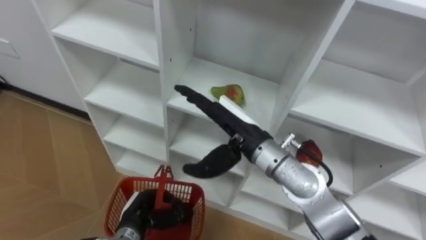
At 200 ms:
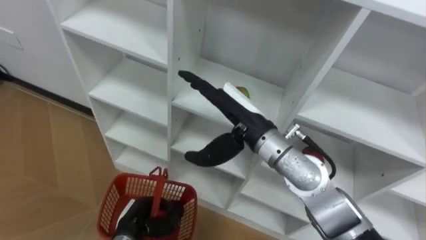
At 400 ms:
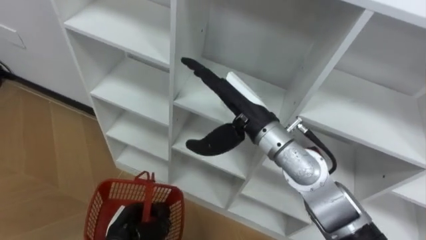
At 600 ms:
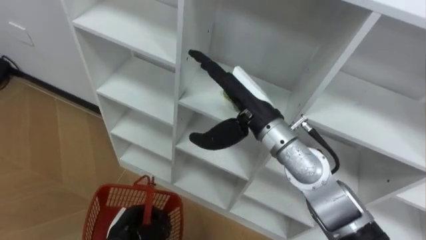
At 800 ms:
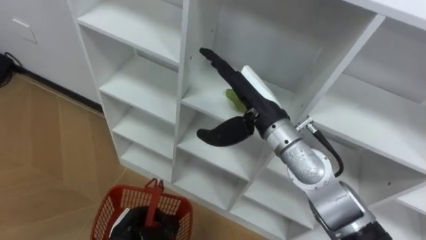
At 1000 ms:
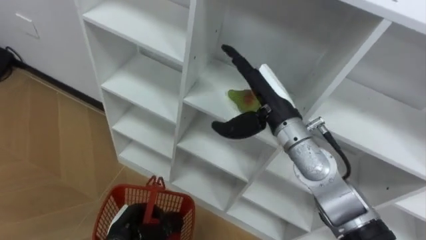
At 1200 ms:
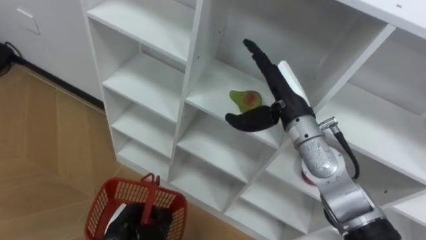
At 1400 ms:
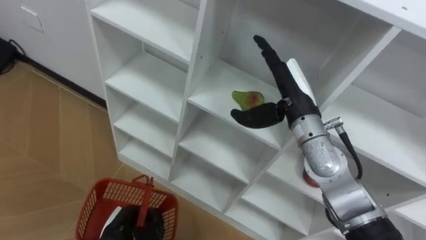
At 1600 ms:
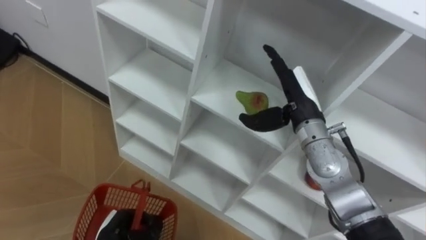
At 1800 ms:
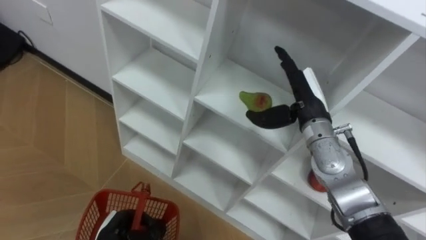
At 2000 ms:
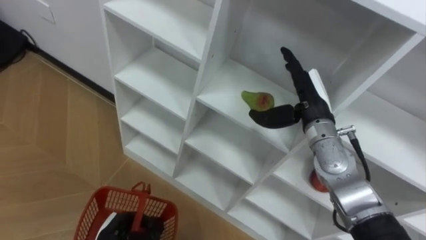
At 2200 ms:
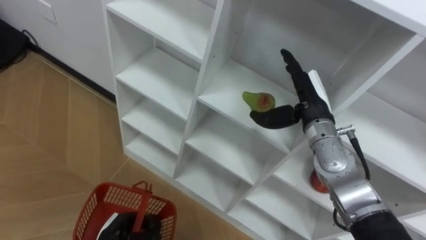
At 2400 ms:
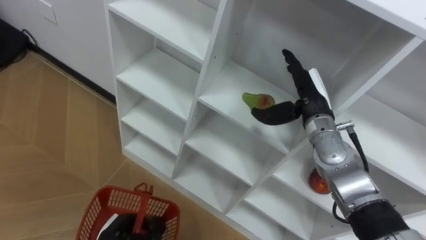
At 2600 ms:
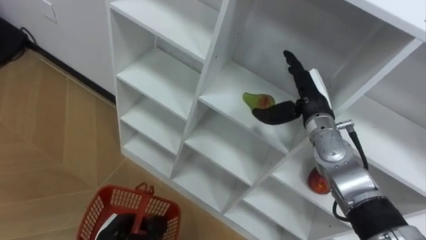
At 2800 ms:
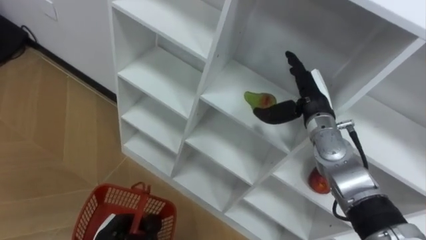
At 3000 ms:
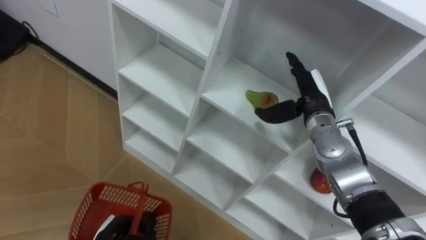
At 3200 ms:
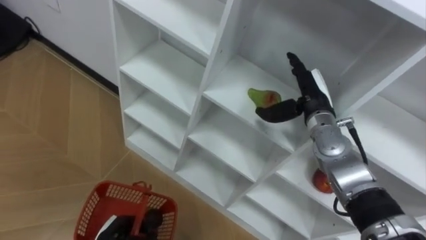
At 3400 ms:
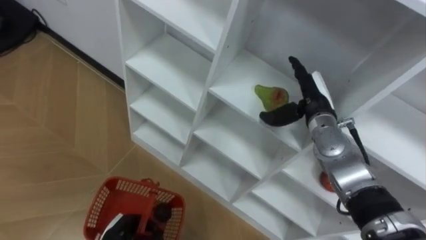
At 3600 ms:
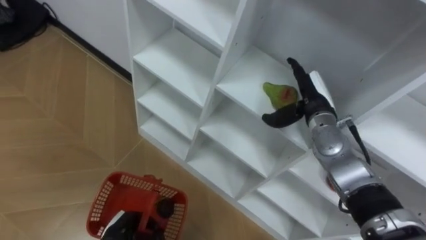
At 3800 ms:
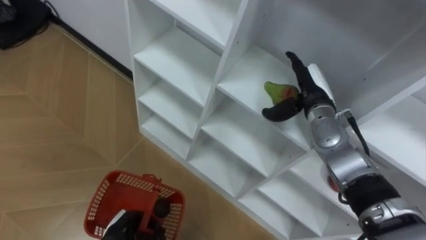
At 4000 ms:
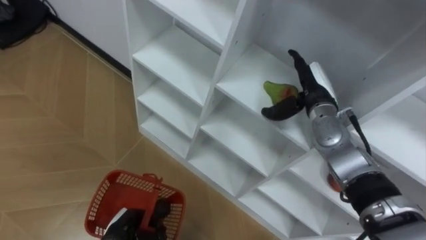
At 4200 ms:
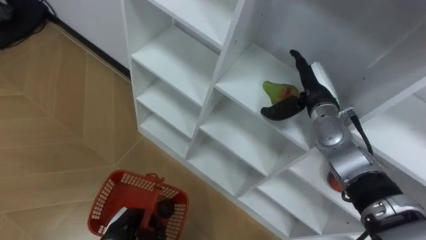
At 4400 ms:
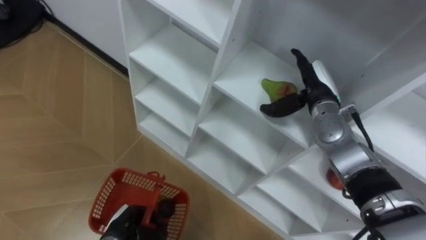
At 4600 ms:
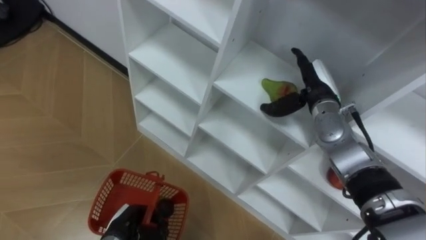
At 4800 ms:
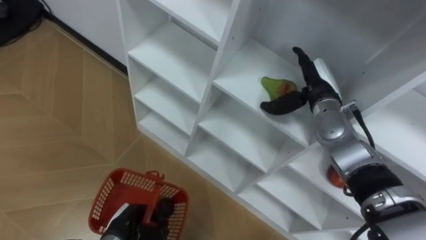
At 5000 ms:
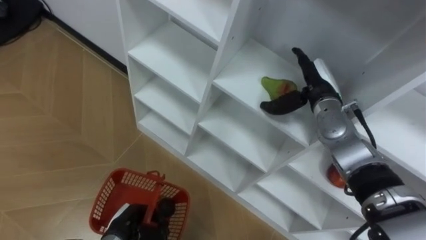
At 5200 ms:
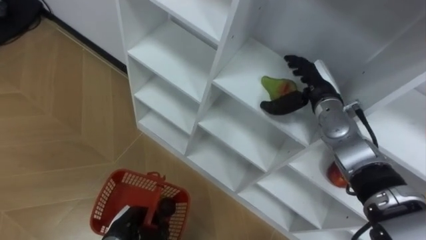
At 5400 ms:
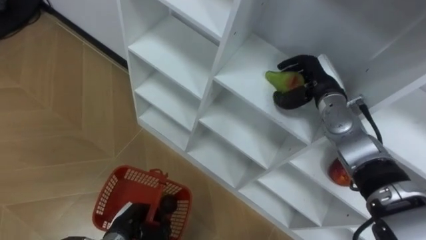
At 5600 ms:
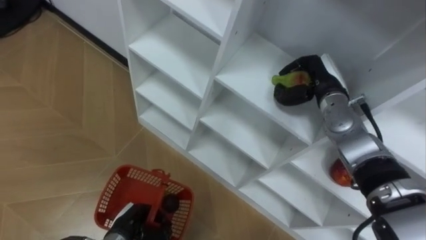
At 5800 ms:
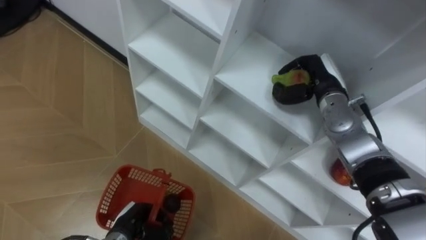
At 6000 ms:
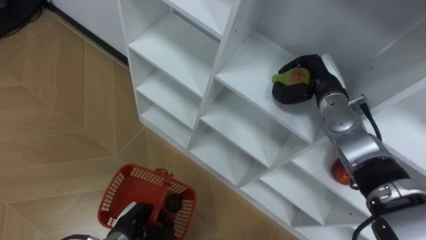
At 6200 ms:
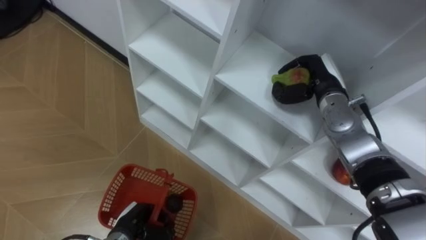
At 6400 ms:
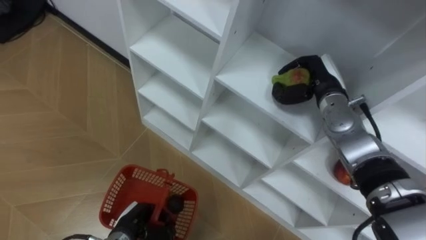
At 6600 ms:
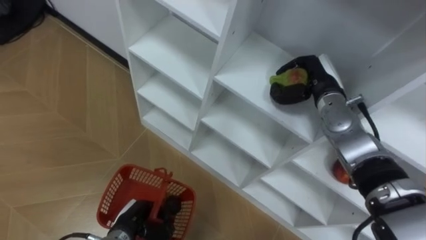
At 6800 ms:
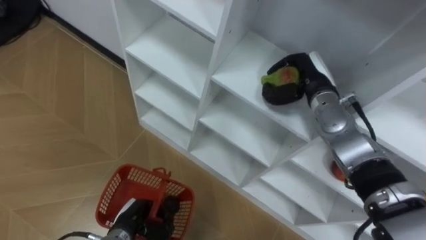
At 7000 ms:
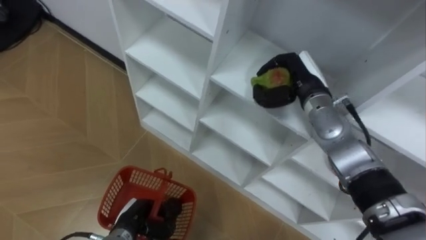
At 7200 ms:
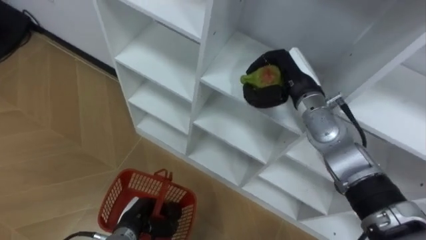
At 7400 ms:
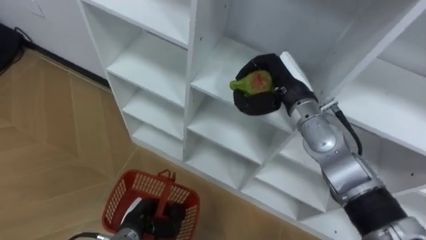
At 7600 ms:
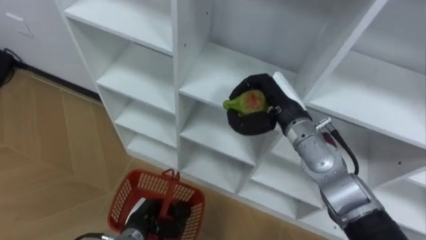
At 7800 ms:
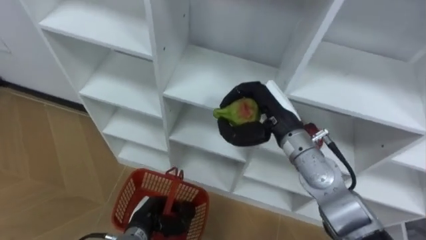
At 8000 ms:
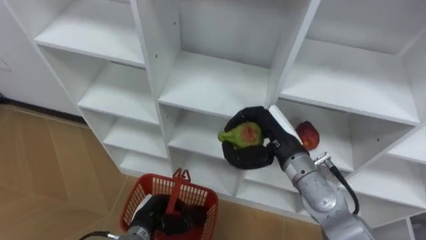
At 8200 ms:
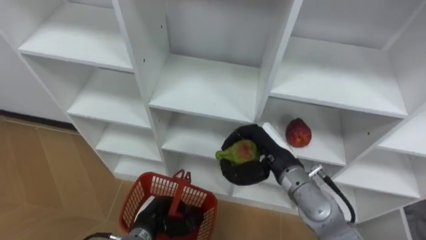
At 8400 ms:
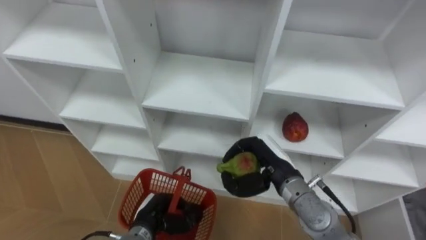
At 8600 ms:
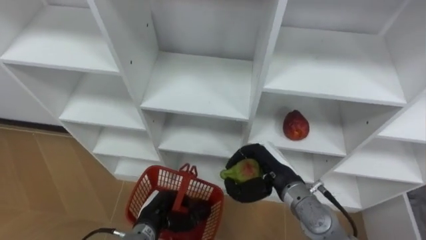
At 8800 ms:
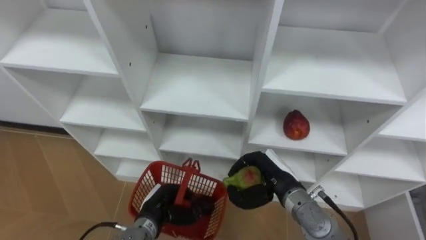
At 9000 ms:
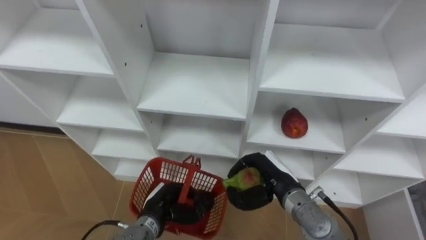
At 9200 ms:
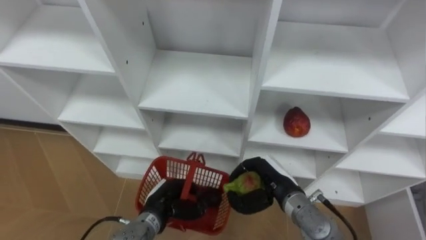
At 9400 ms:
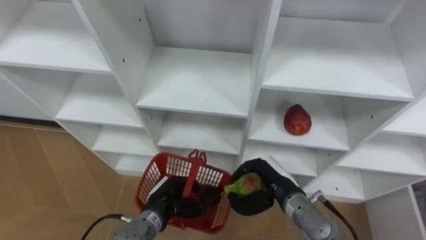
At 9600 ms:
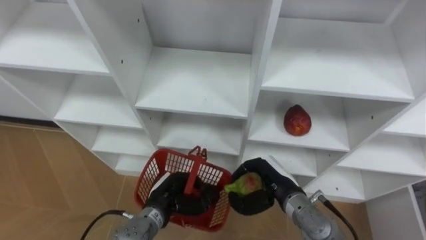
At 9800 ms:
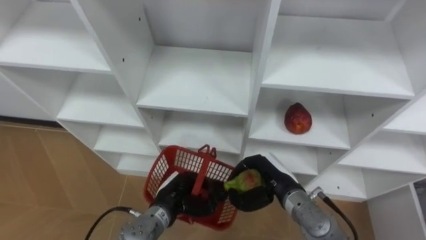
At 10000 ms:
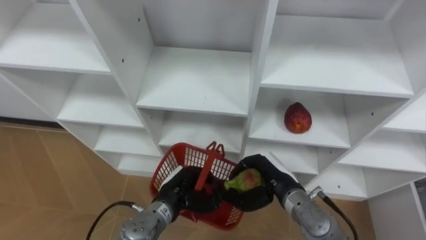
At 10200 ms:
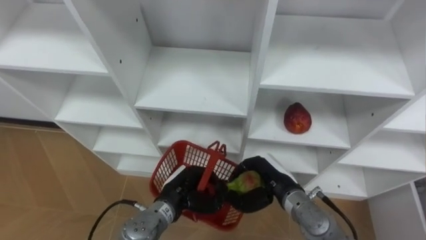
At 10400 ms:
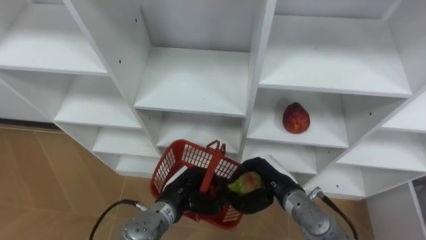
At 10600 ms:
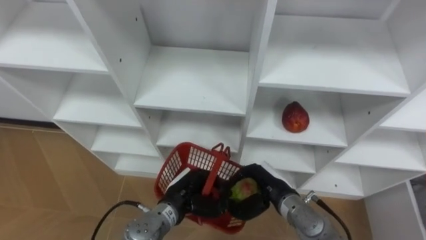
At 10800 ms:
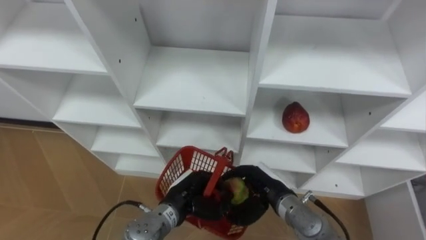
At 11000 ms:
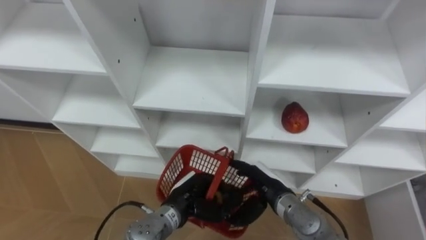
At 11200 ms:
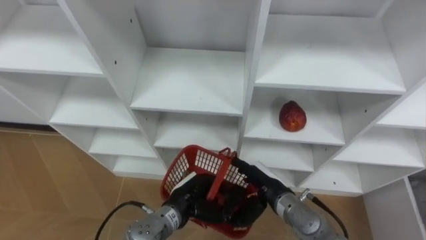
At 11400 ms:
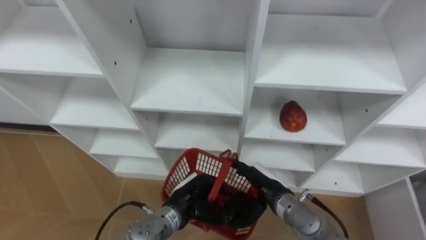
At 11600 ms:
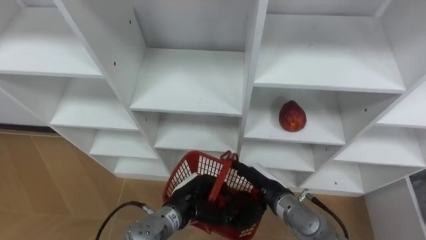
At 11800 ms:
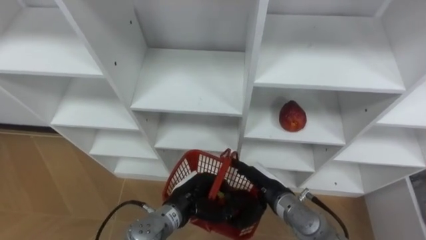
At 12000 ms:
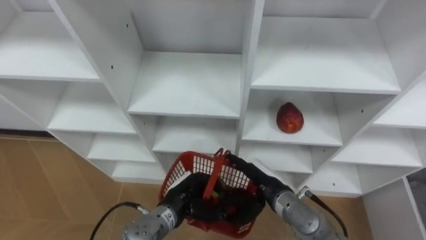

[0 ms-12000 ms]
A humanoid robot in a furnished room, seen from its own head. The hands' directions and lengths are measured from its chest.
Task of the whole recording: Hold the basket and collect the fruits from 3 different cells of the closet into it.
0 ms to 1600 ms: The left hand moves roughly 5 cm. Meanwhile the right hand goes approximately 15 cm to the right and forward.
1600 ms to 3000 ms: The right hand shifts by roughly 5 cm.
4400 ms to 6000 ms: The right hand closes up.
6000 ms to 7600 ms: The right hand shifts some 10 cm to the left and backward.
7600 ms to 9000 ms: The right hand moves downward and backward, roughly 15 cm. The left hand ends up approximately 5 cm from where it was.
9000 ms to 10400 ms: The left hand shifts by roughly 5 cm.
10400 ms to 12000 ms: The right hand opens its fingers.

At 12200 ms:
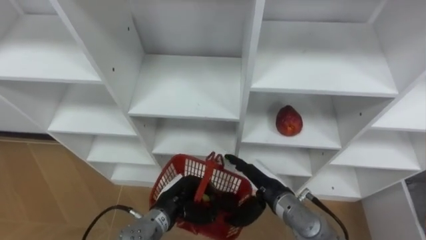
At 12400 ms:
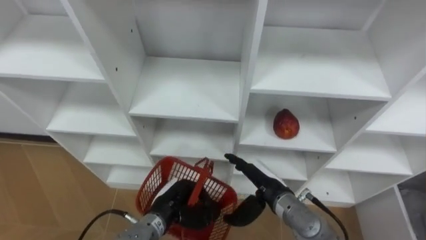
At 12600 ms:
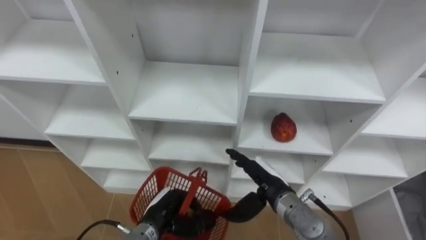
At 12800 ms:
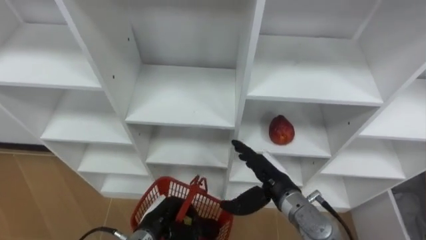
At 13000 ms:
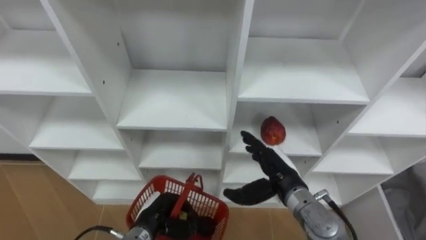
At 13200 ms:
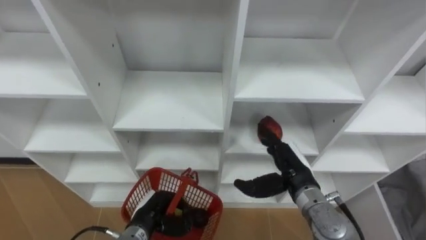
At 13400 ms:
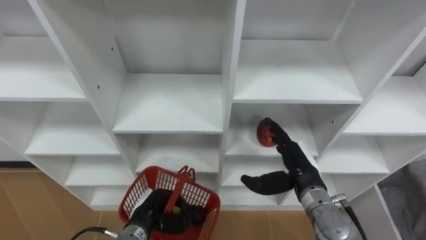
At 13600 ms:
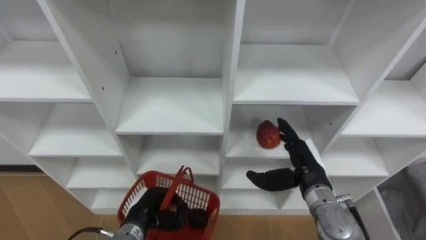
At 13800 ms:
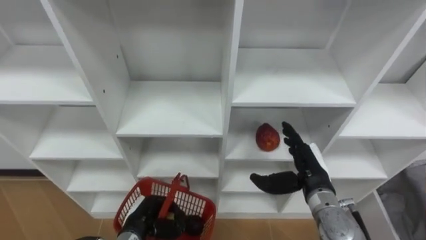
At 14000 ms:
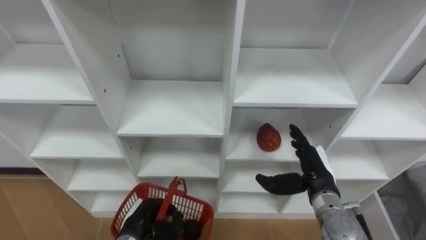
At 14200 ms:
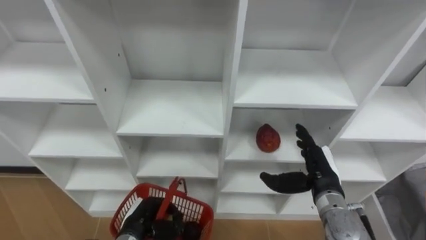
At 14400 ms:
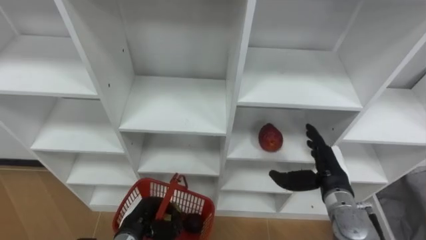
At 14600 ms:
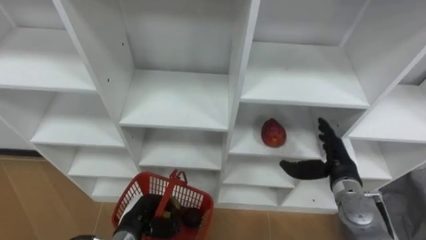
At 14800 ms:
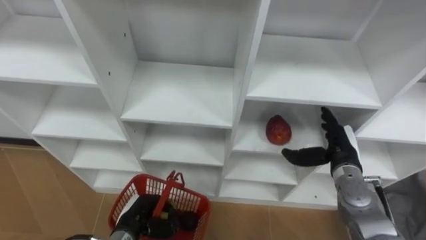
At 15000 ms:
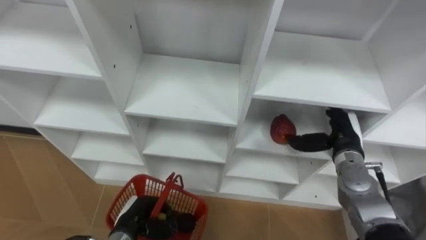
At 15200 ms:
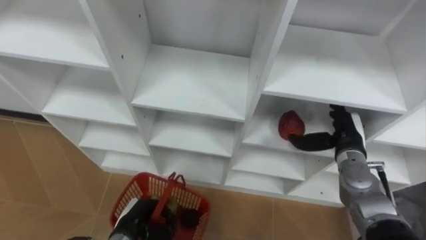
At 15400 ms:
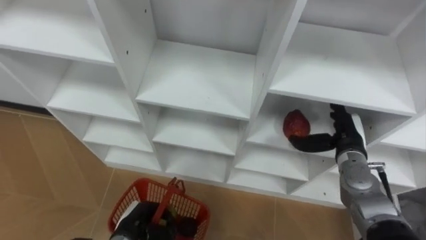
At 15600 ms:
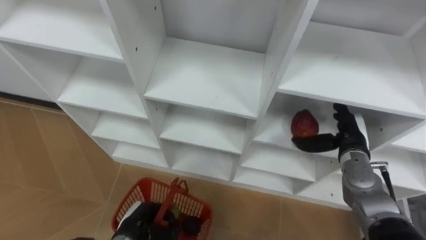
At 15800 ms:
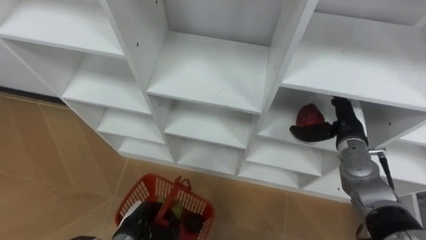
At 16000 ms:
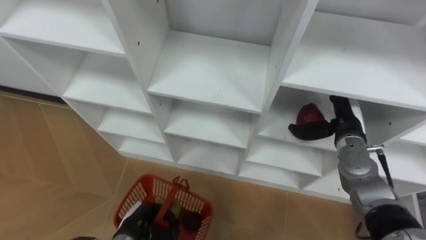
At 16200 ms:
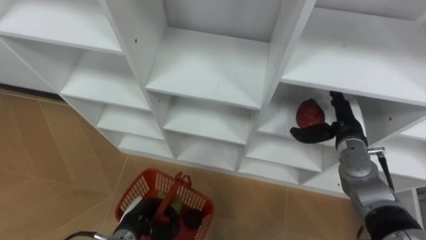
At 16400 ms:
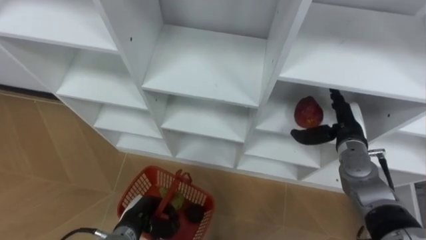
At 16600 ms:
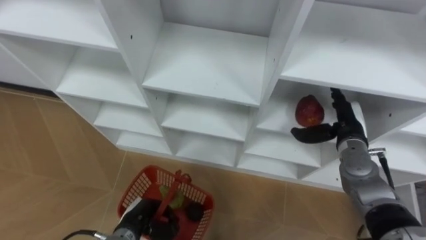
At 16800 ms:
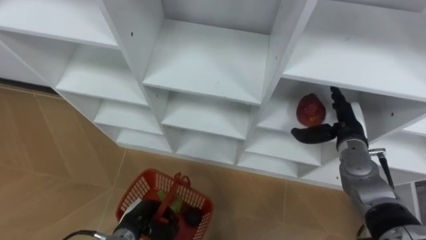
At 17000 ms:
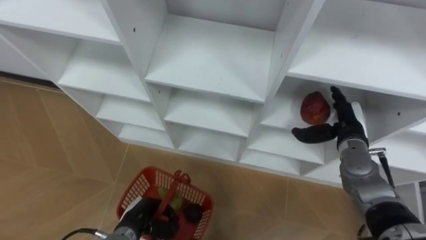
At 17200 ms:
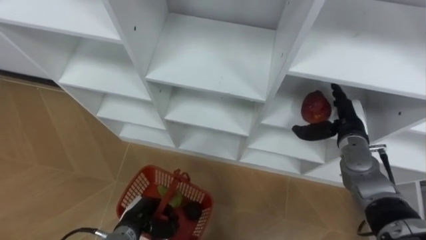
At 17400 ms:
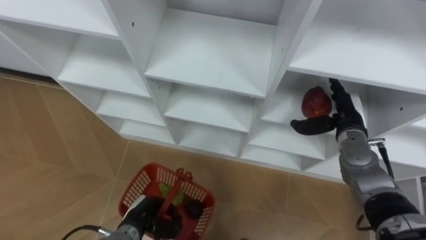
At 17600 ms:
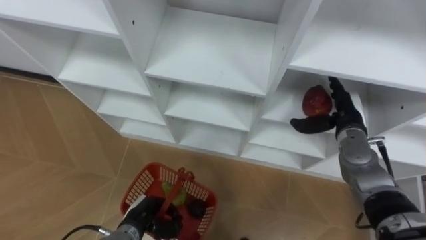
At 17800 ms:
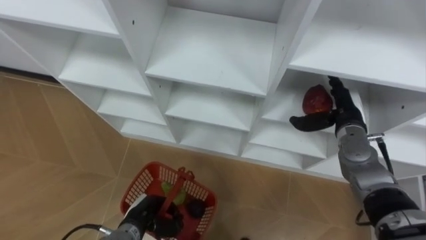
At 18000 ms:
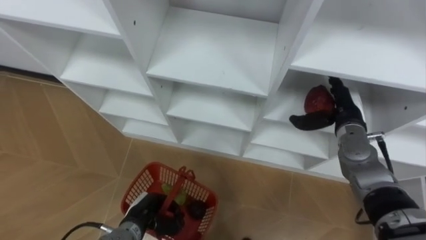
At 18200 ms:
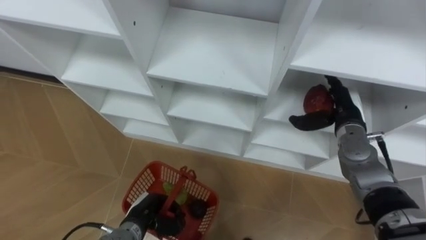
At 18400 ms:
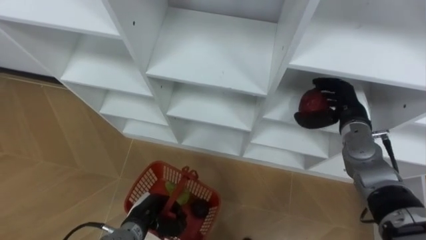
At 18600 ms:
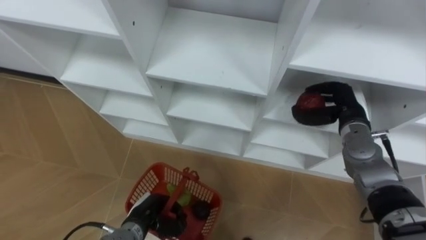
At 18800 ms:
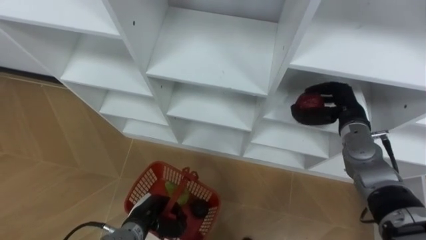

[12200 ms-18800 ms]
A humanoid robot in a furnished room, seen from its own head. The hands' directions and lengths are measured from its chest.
Task of the whole recording: Hold the basket and collect the fruits from 3 different cells of the closet into it.
12200 ms to 13800 ms: The left hand shifts roughly 10 cm to the left, while the right hand heads to the right, covering approximately 10 cm.
13800 ms to 15400 ms: The right hand moves to the right and forward, some 10 cm.
17200 ms to 18800 ms: The right hand closes up.
